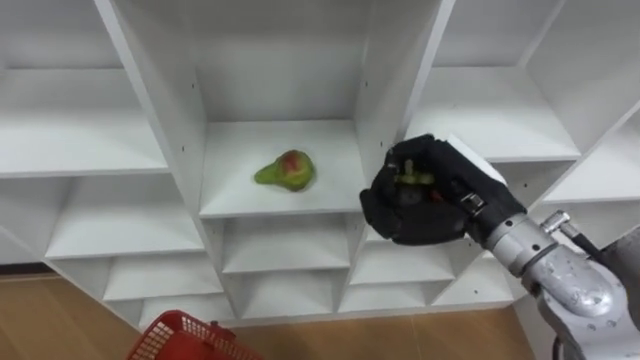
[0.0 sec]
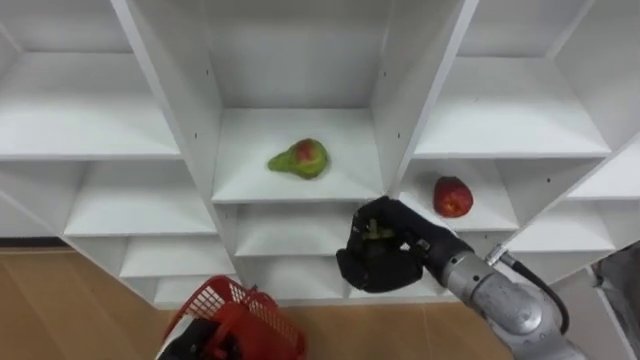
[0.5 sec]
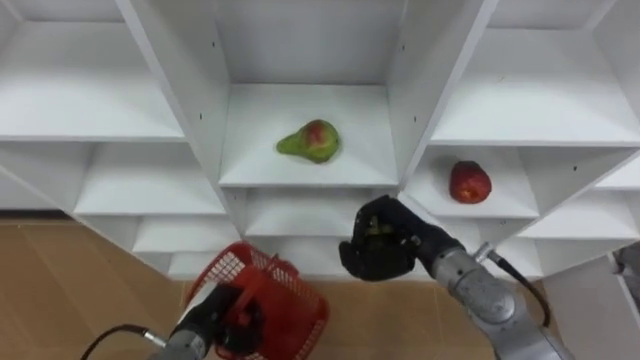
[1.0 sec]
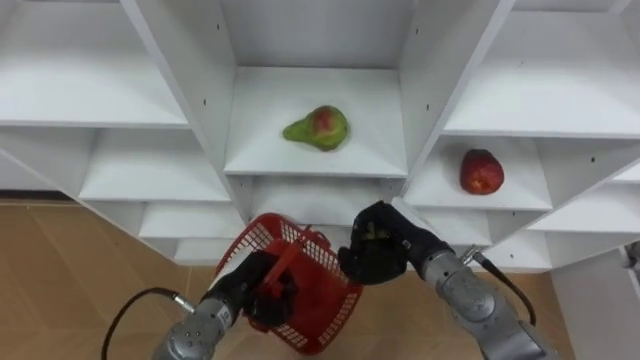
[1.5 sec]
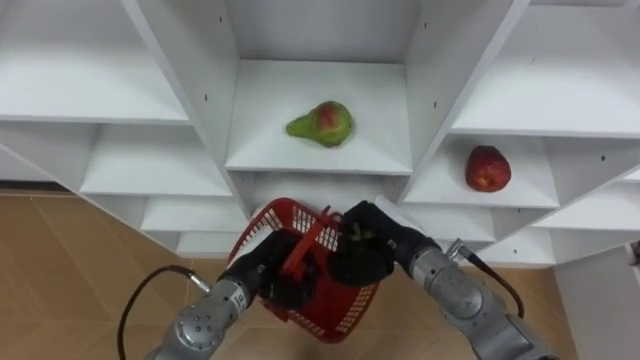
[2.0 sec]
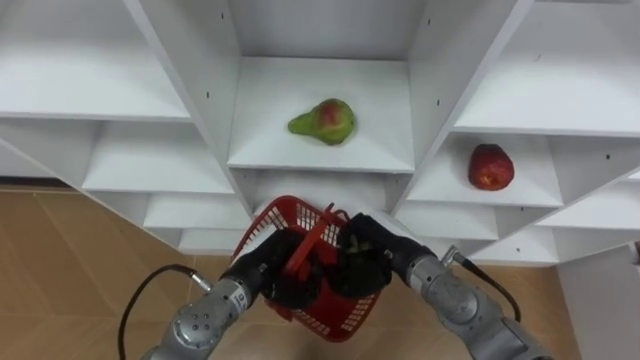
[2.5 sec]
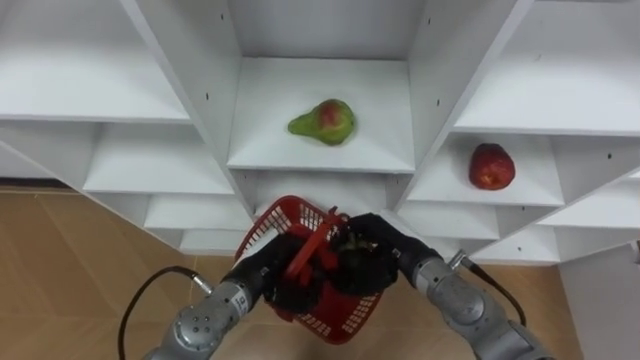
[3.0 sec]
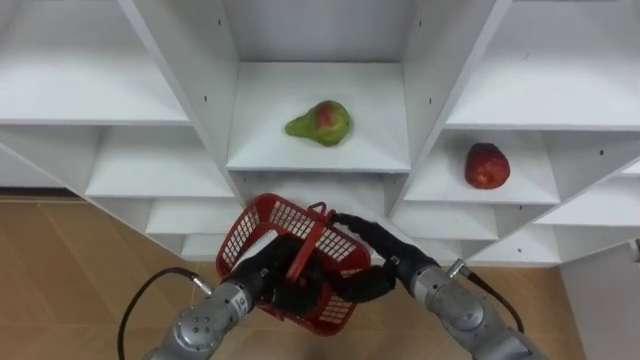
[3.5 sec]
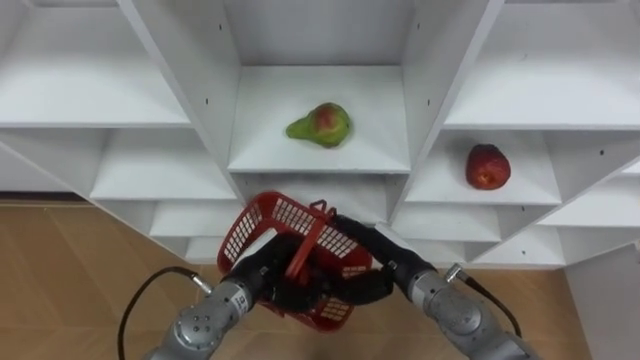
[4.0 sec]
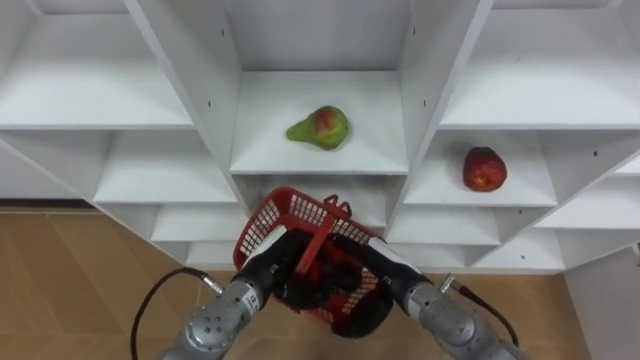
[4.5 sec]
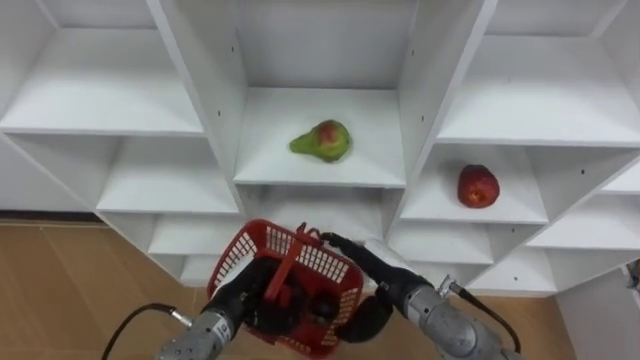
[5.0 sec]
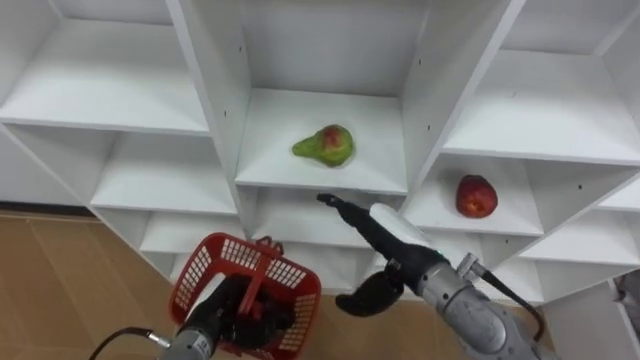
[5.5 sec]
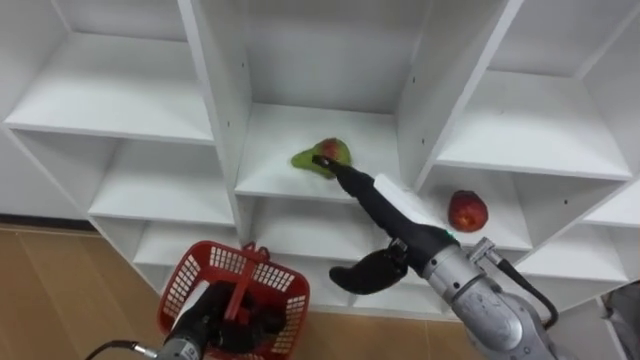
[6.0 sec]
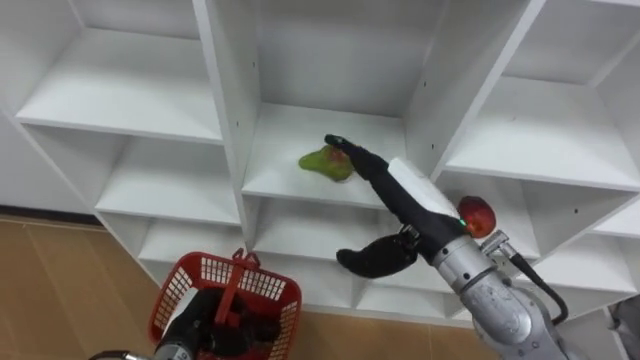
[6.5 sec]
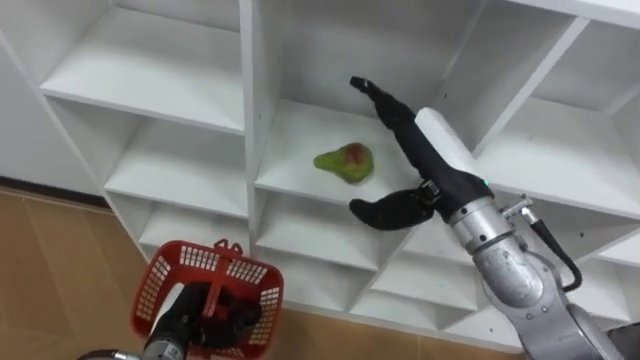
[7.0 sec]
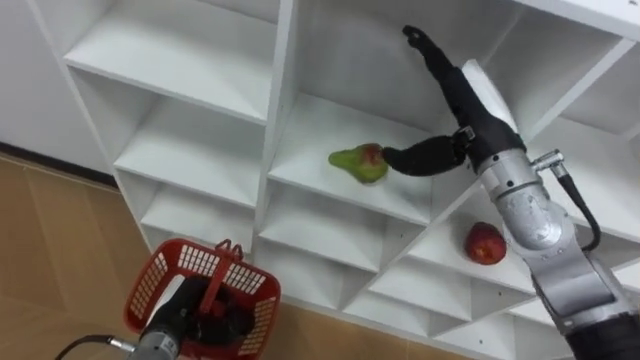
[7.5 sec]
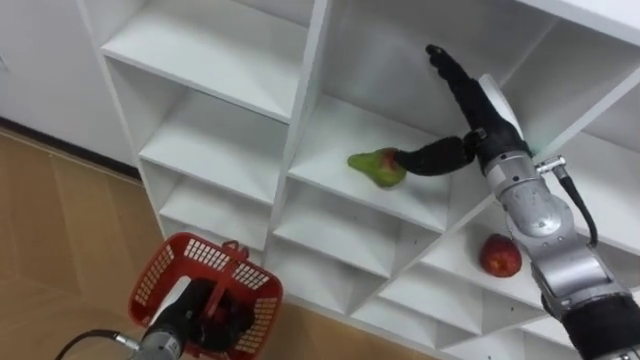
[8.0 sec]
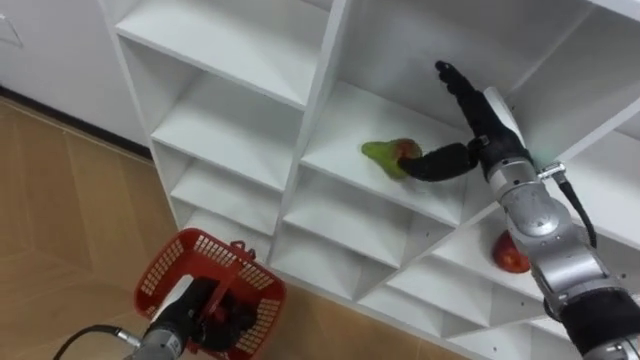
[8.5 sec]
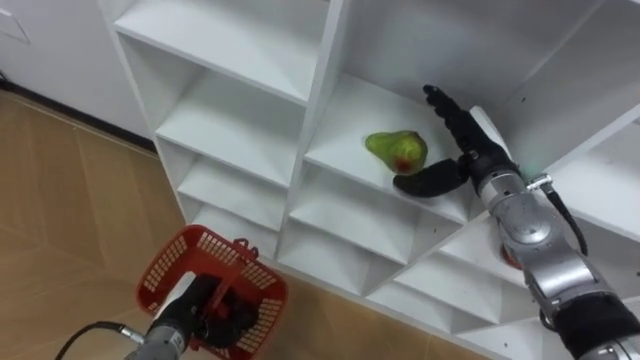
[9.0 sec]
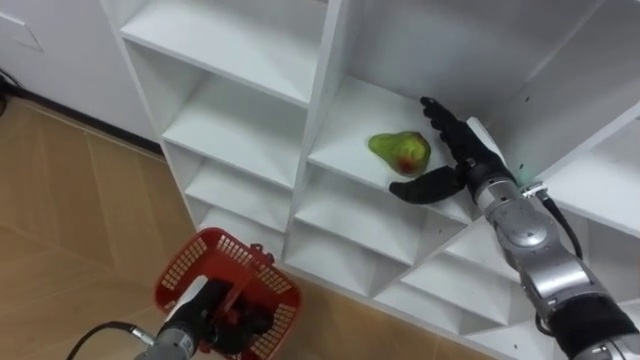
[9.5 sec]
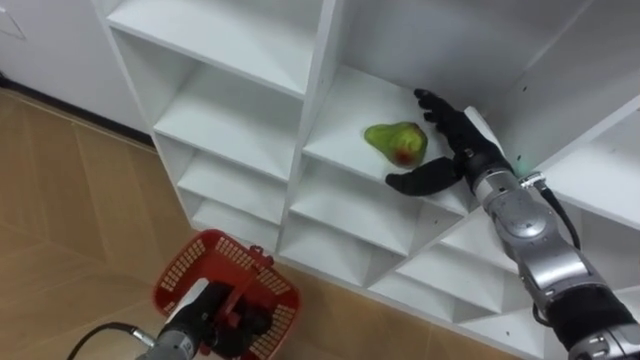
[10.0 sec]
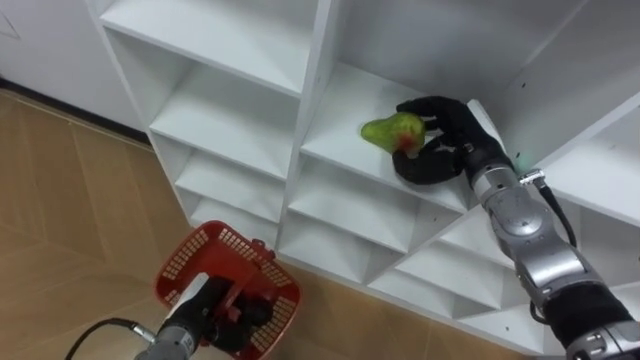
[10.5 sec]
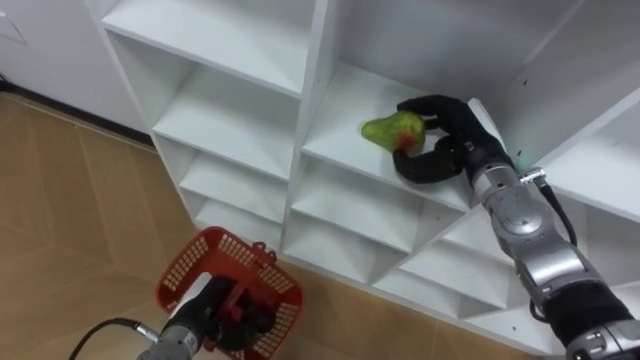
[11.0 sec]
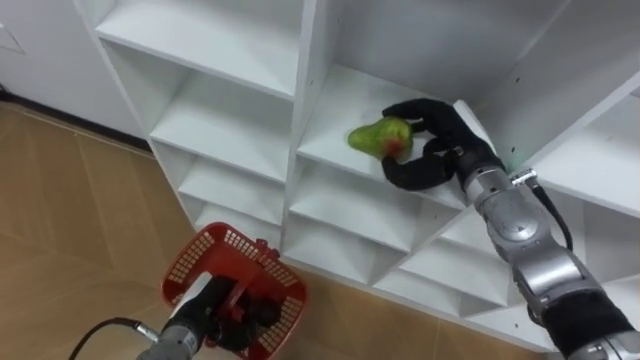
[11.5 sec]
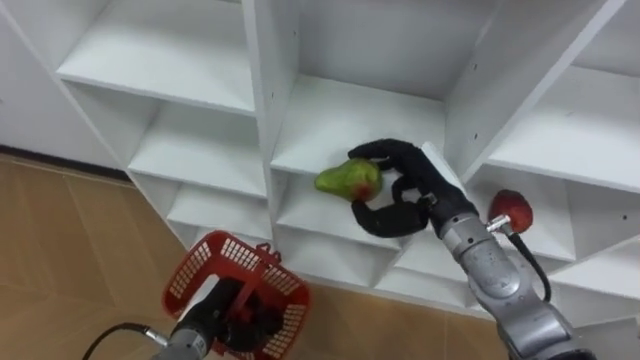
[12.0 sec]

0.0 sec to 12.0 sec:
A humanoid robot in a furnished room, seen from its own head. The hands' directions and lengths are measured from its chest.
Task of the whole recording: Hold the basket and collect the fruits from 3 different cells of the closet into it.
0.0 sec to 2.0 sec: The right hand shifts approximately 15 cm downward and to the left.
2.0 sec to 4.0 sec: The right hand opens up.
4.0 sec to 6.0 sec: The left hand shifts approximately 10 cm to the left, downward and backward. Meanwhile the right hand shifts approximately 15 cm upward.
6.0 sec to 8.0 sec: The right hand is displaced forward and to the right by some 15 cm.
8.0 sec to 10.0 sec: The right hand heads downward, covering some 5 cm.
10.0 sec to 12.0 sec: The right hand moves backward and to the left, some 10 cm, and closes.

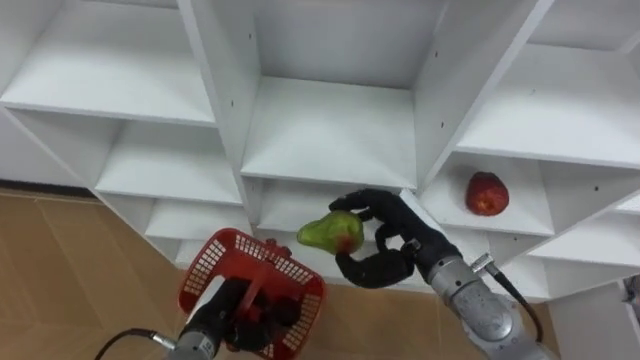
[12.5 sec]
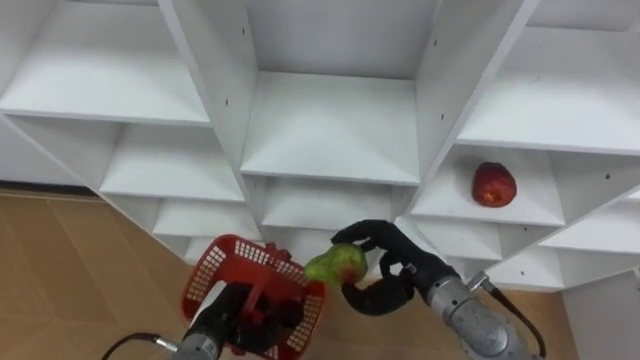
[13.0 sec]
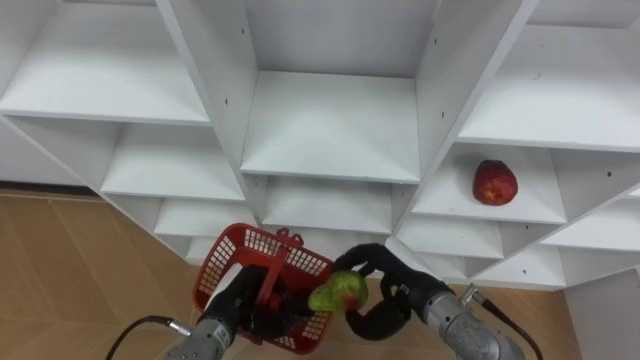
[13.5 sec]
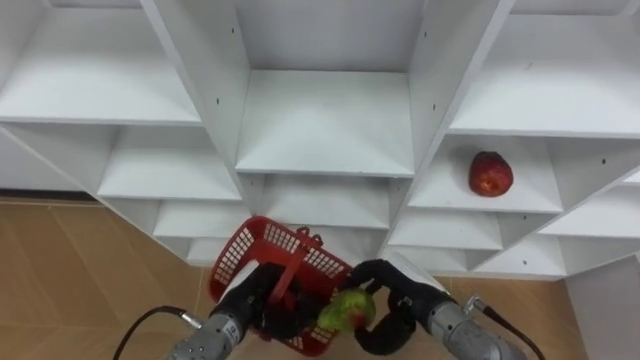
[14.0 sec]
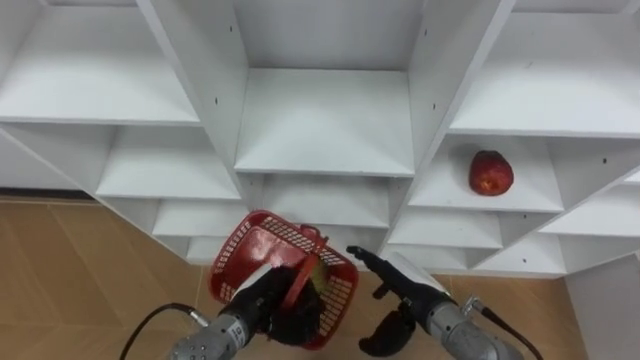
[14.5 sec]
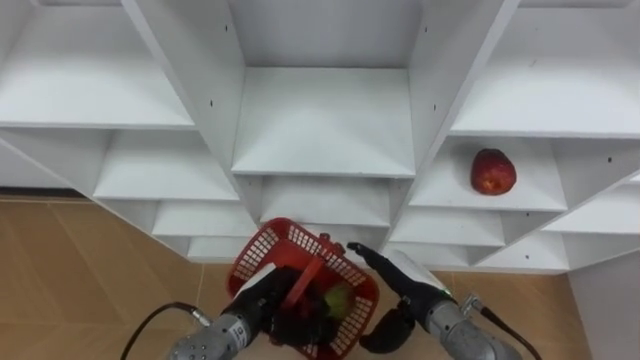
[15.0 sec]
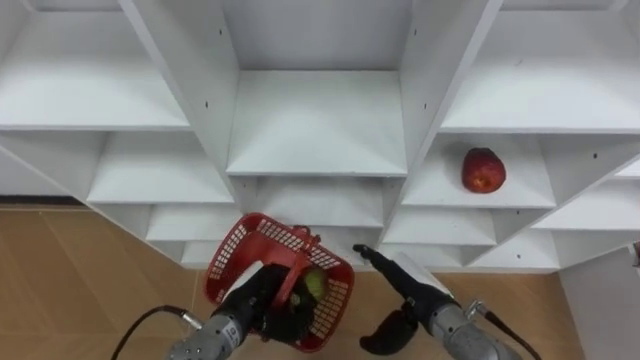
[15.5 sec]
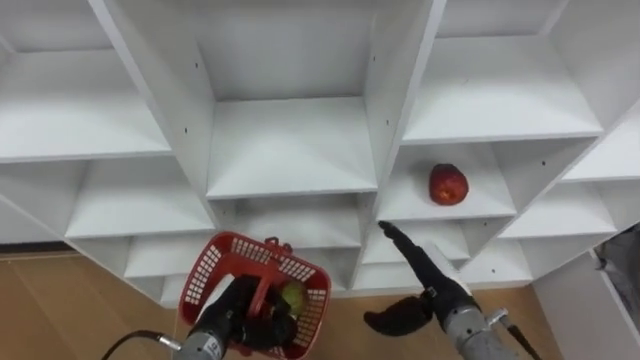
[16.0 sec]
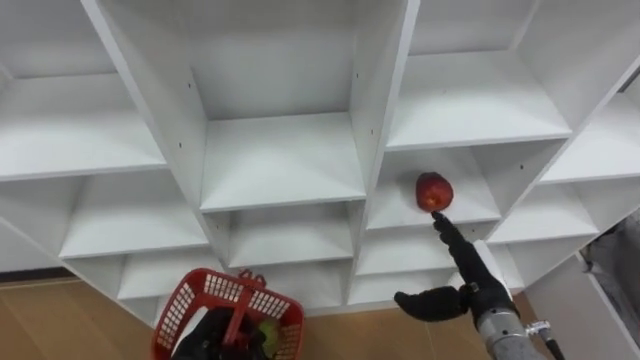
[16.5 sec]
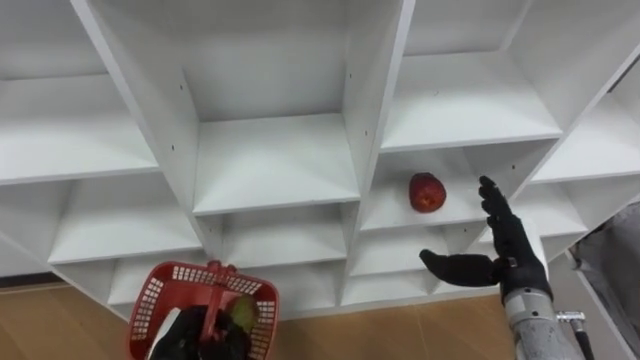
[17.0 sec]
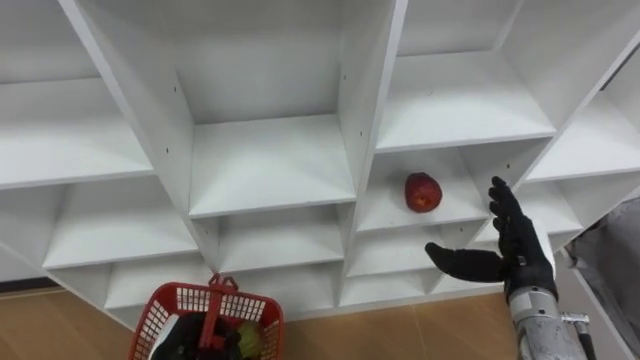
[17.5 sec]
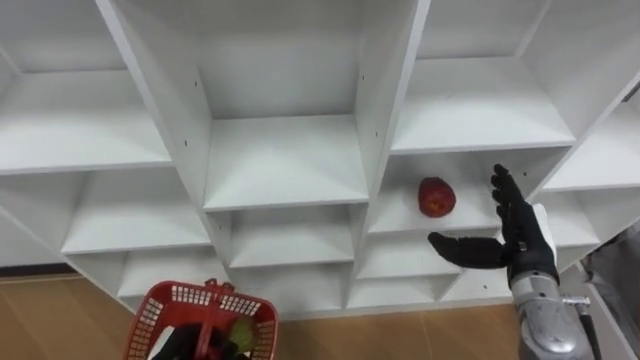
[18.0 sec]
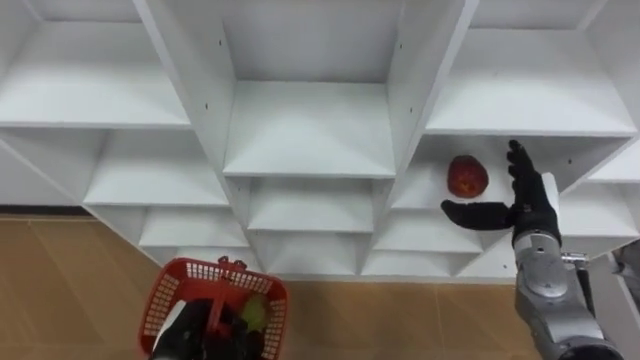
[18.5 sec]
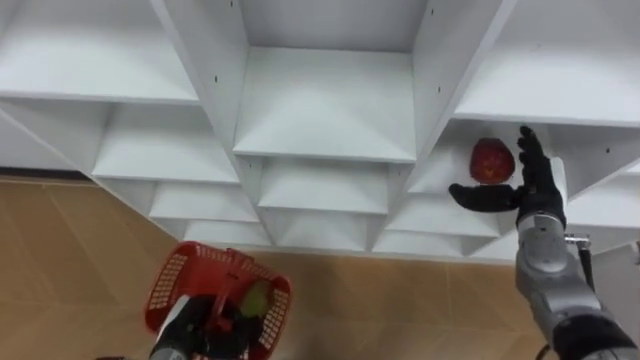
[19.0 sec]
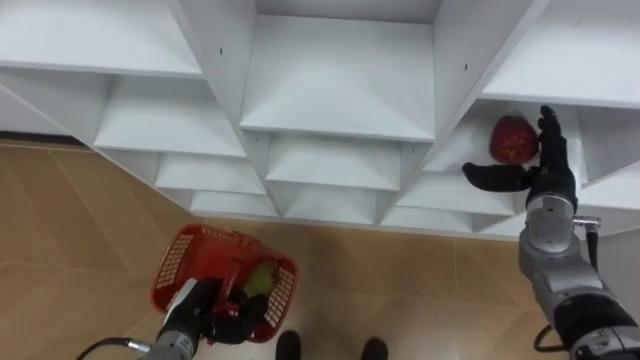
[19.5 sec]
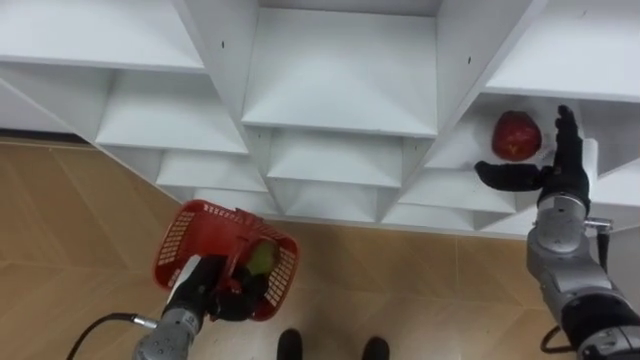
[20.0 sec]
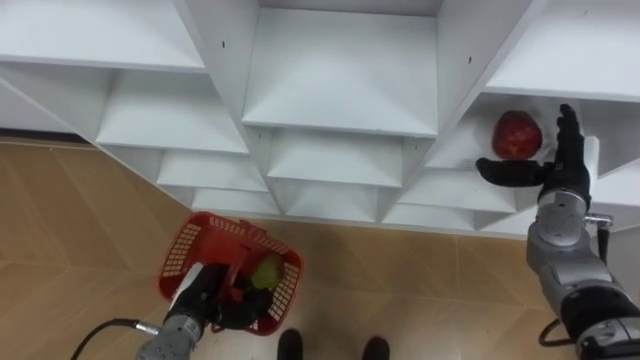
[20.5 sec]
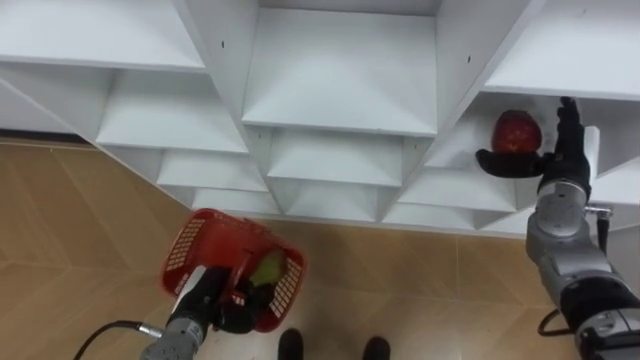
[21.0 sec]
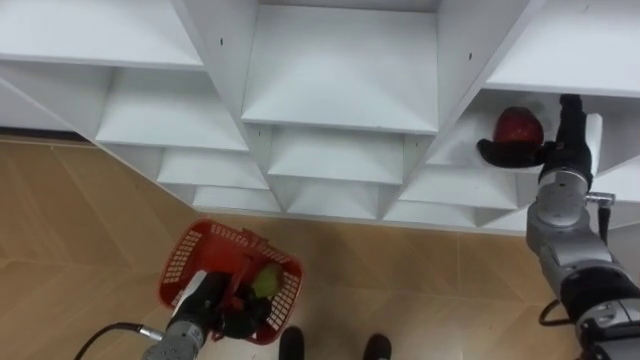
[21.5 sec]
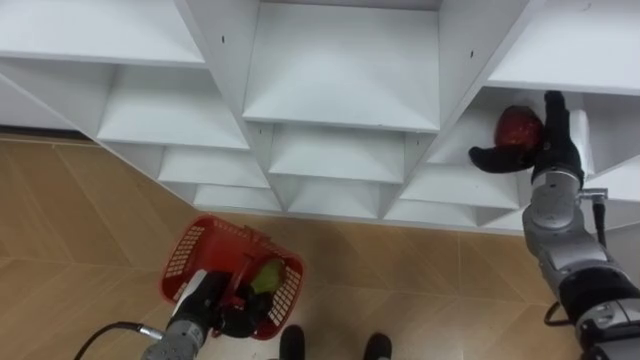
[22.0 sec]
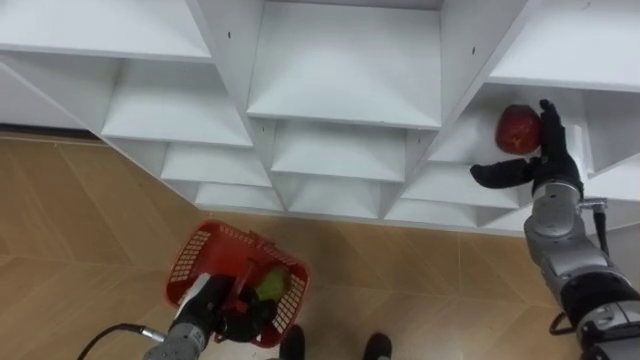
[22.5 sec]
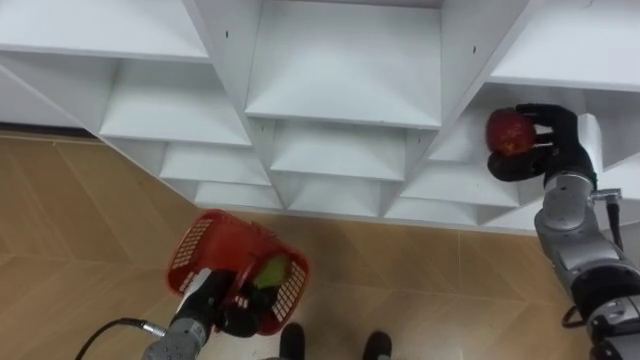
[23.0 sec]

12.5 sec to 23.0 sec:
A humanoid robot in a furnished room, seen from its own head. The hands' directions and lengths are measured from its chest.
Task of the whole recording: Hold the basket and collect the fruits from 3 different cells of the closet into it.
12.5 sec to 14.5 sec: The right hand shifts some 10 cm downward, and opens; the left hand is displaced to the right by some 5 cm.
14.5 sec to 16.5 sec: The right hand shifts about 10 cm to the right; the left hand heads to the left and backward, covering roughly 10 cm.
16.5 sec to 19.0 sec: The right hand is displaced forward, to the right and upward by roughly 15 cm.
19.0 sec to 21.0 sec: The right hand shifts by approximately 5 cm.
21.0 sec to 23.0 sec: The right hand closes up.
